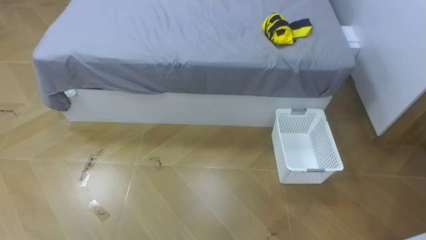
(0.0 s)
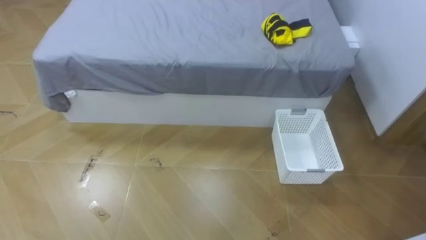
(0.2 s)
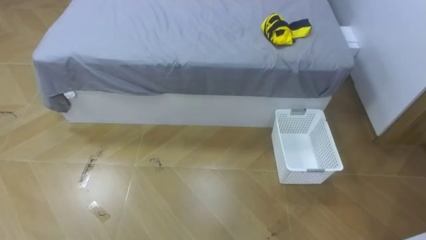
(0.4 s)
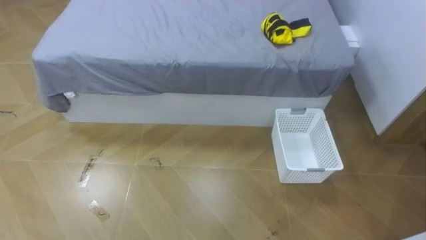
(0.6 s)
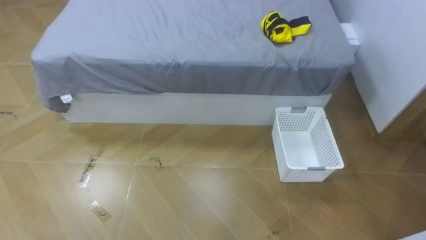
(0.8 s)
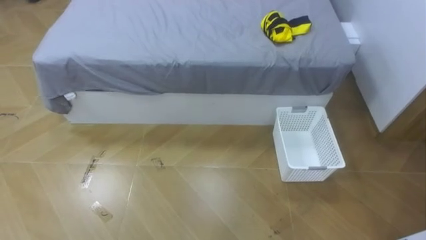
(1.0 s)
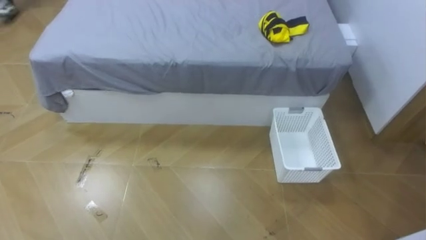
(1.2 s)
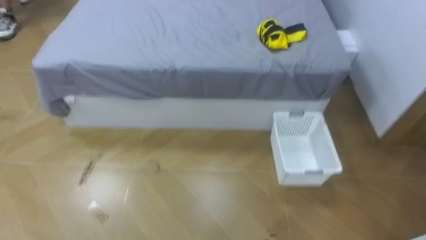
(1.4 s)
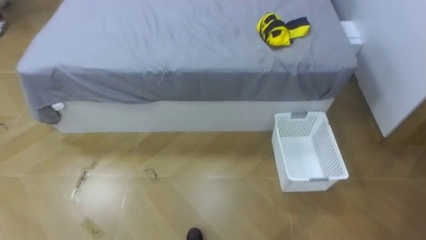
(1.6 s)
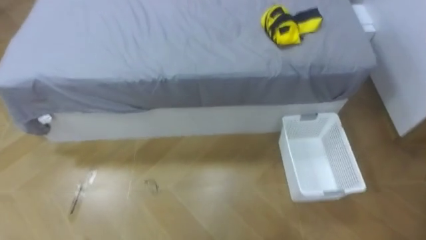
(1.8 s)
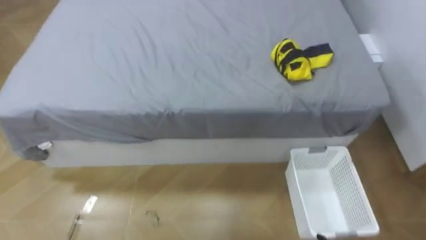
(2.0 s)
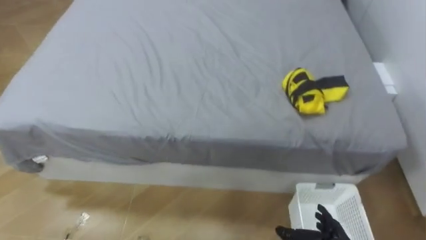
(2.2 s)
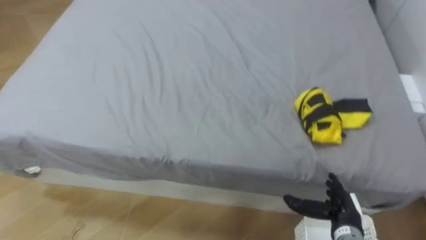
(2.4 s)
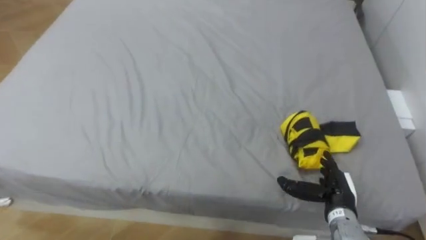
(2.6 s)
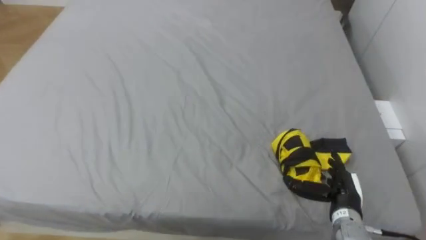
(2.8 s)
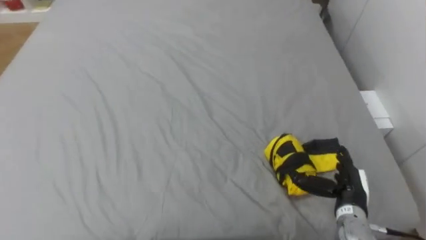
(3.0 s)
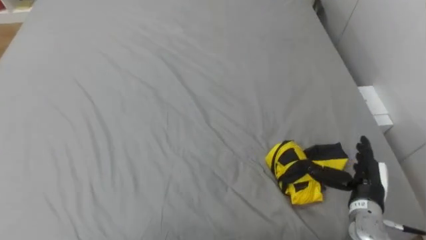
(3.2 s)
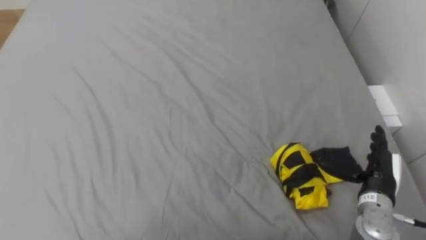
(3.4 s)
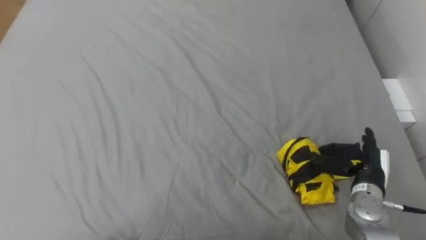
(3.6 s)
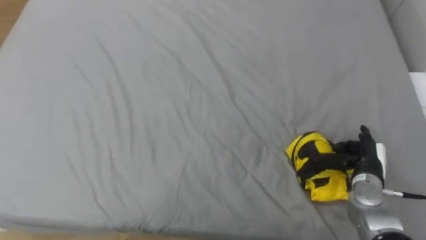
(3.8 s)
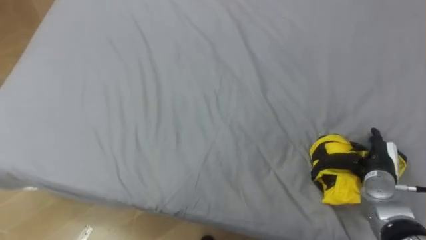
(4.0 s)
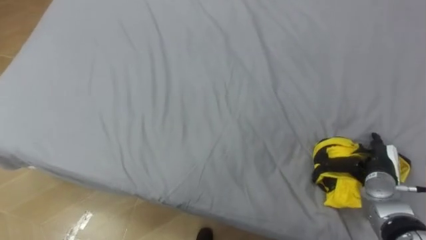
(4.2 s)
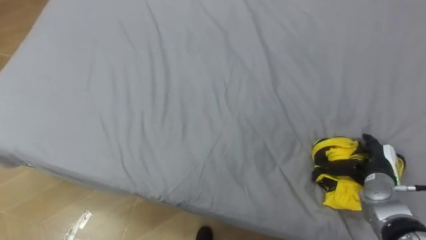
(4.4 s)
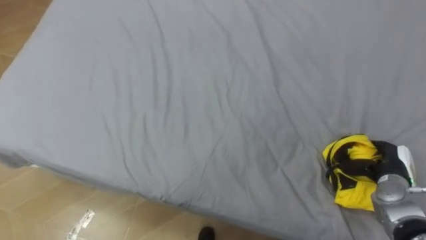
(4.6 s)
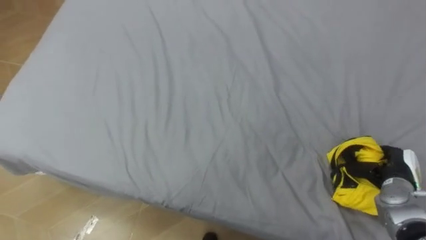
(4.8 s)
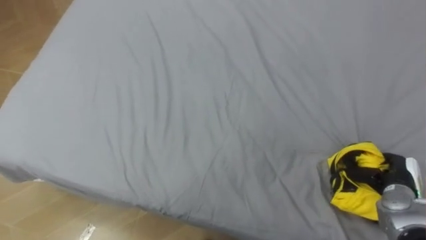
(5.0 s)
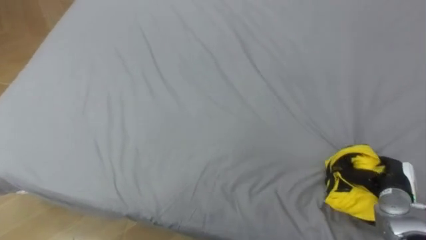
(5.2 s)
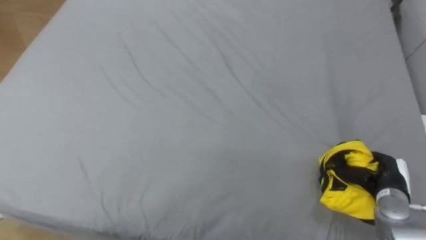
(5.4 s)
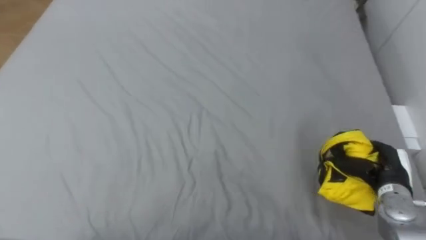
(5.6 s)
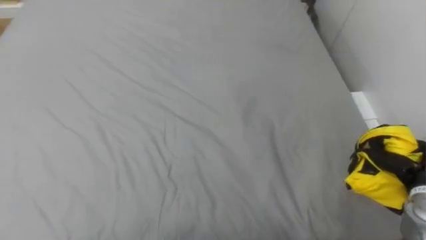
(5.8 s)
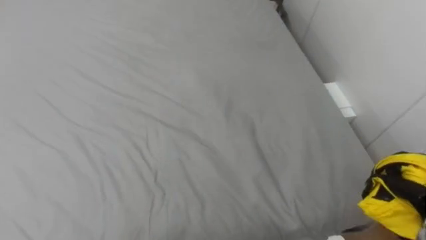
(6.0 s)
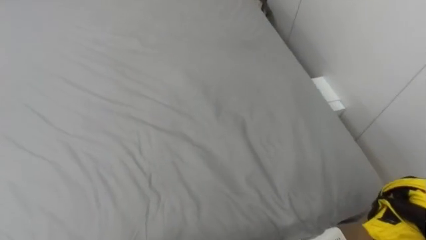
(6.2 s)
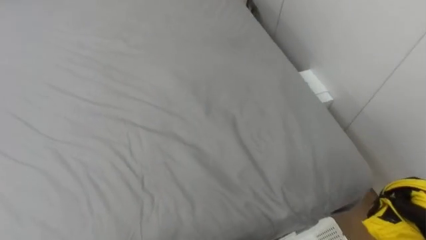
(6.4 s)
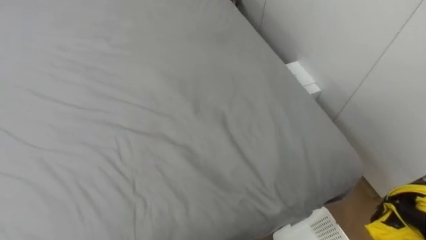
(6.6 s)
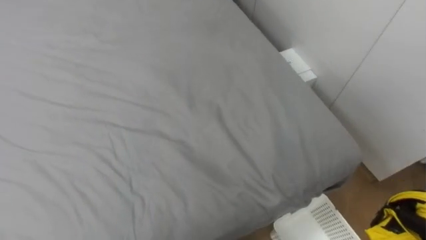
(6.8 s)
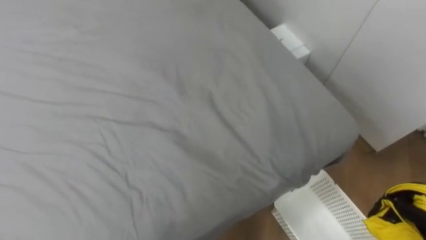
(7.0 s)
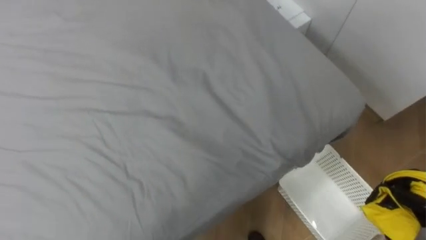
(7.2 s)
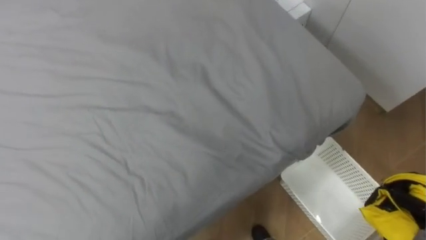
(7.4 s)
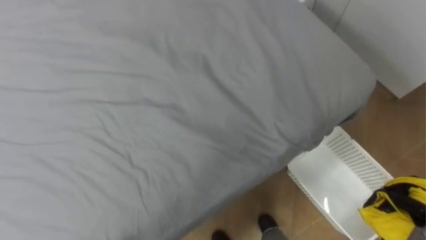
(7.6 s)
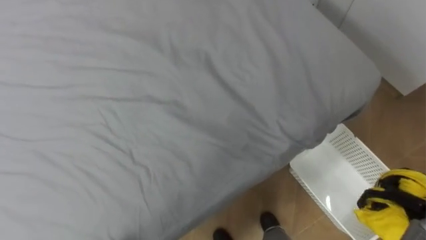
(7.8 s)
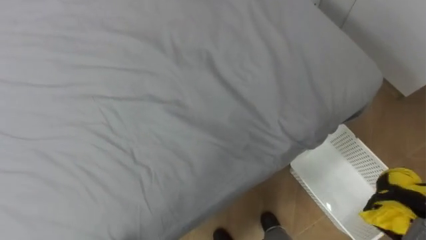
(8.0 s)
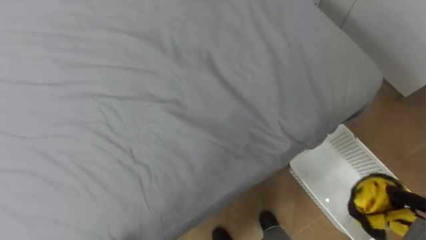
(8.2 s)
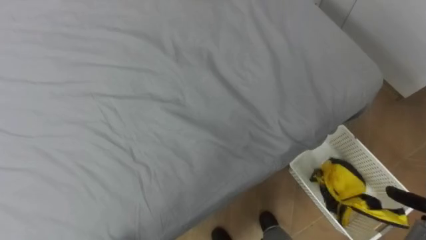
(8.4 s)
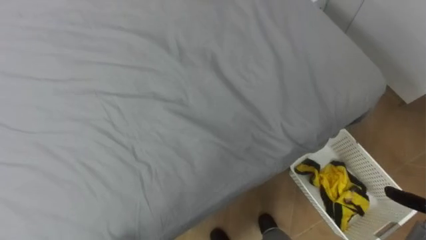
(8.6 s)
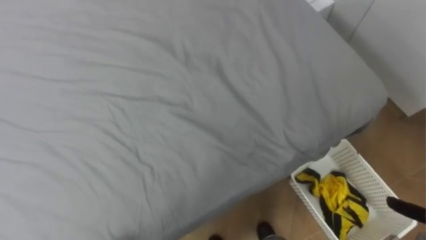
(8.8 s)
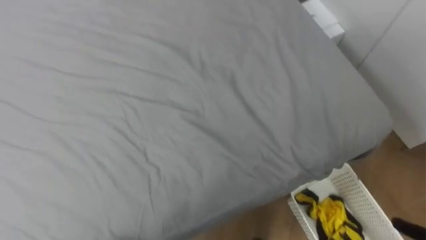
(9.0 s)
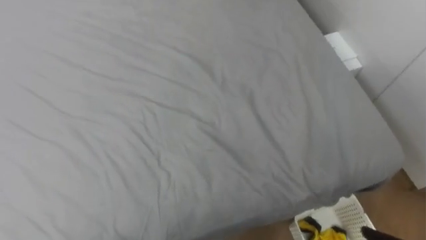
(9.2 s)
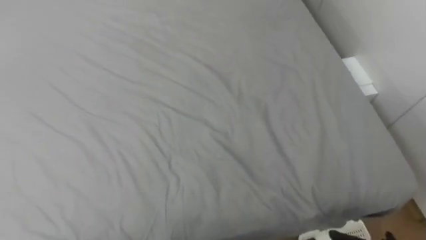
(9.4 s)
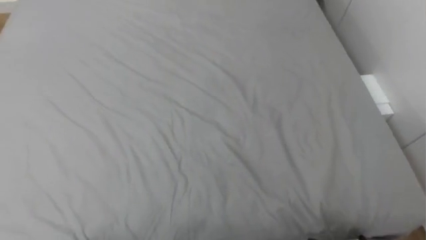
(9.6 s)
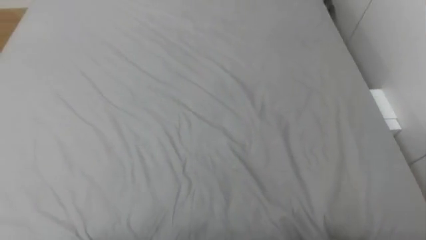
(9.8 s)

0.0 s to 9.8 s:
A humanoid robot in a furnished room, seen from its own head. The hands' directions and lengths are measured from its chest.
Task of the whole recording: Pick up the yellow clothes on the bed and place them into the white basket on the right.
2.8 to 4.2 s: The right hand goes roughly 10 cm to the right and forward.
4.2 to 5.6 s: The right hand closes up.
8.4 to 9.8 s: The robot's body swings about 20 degrees to its left.

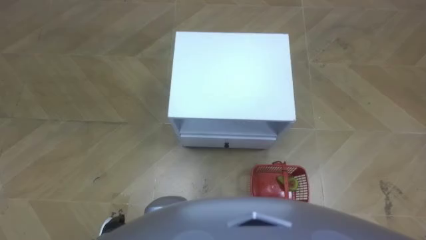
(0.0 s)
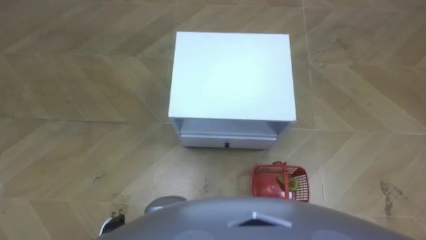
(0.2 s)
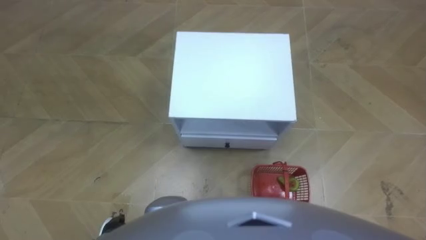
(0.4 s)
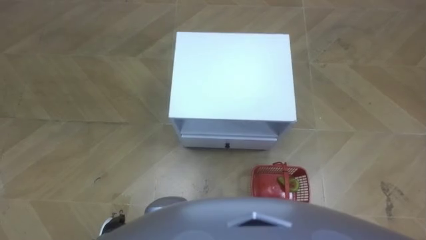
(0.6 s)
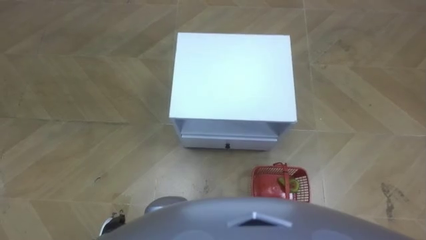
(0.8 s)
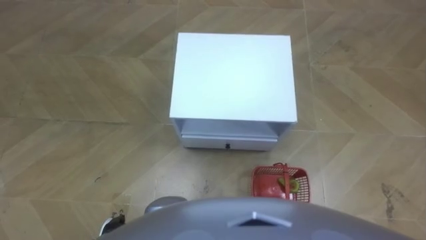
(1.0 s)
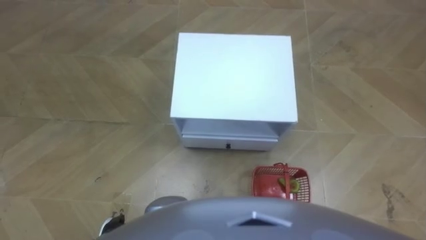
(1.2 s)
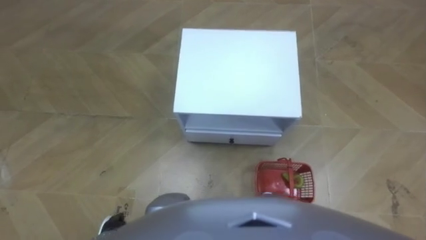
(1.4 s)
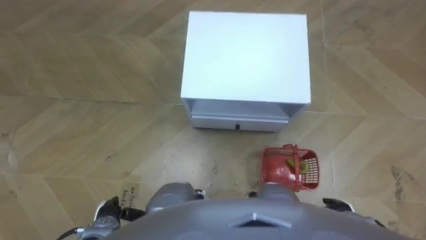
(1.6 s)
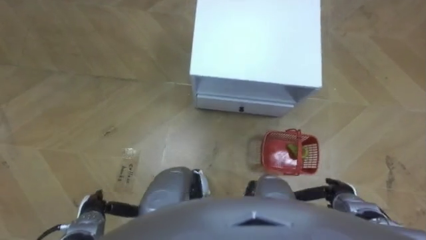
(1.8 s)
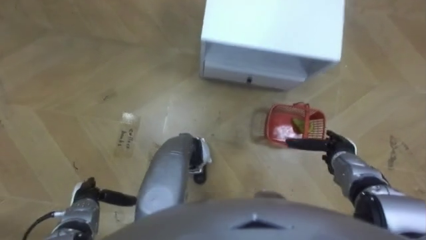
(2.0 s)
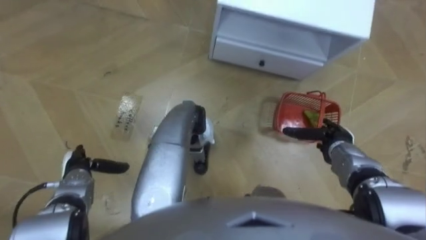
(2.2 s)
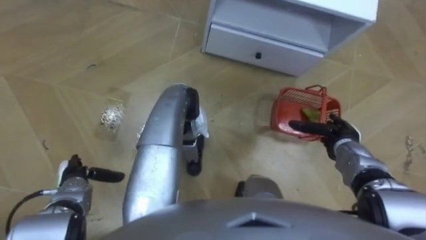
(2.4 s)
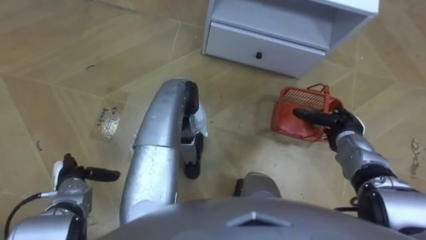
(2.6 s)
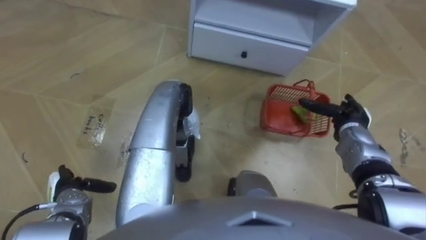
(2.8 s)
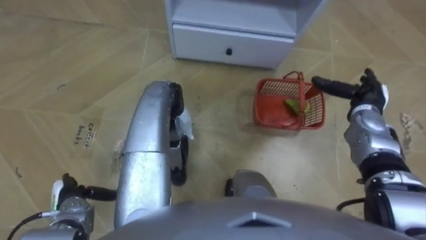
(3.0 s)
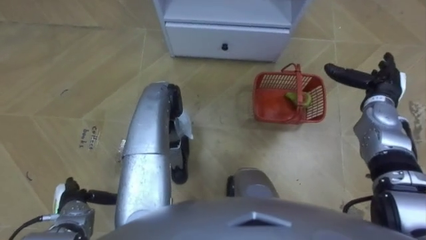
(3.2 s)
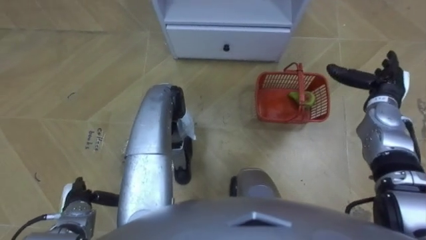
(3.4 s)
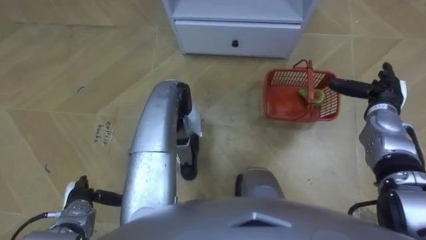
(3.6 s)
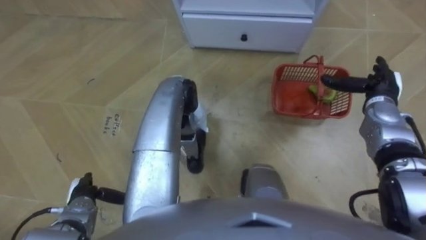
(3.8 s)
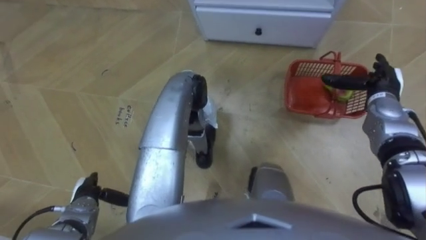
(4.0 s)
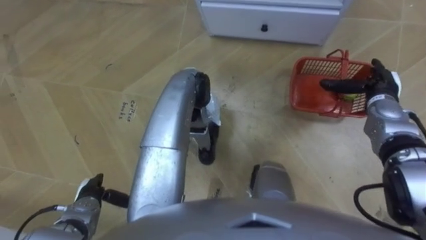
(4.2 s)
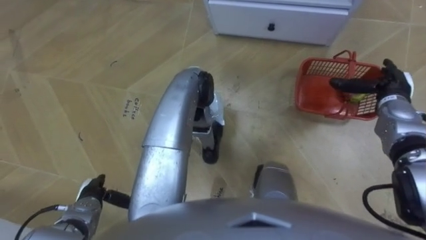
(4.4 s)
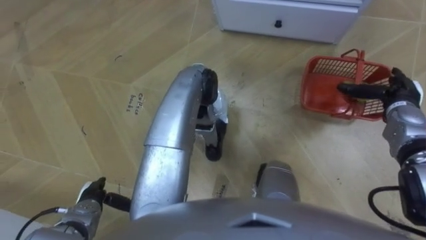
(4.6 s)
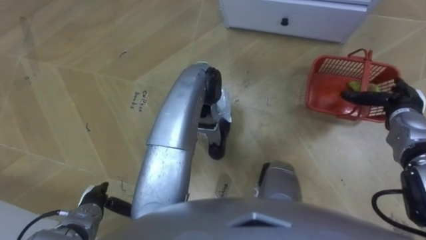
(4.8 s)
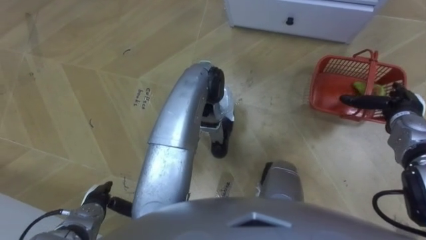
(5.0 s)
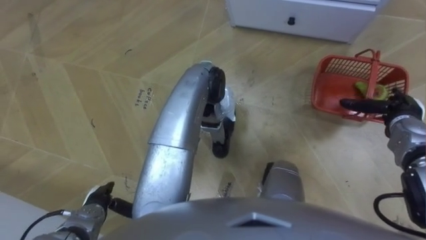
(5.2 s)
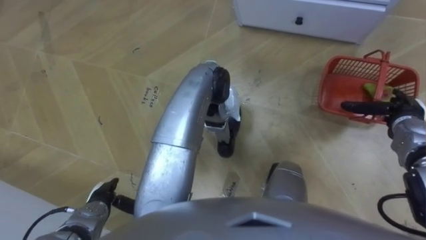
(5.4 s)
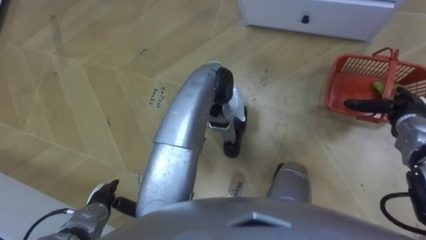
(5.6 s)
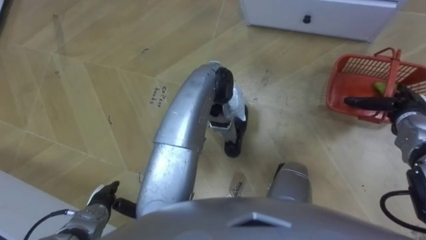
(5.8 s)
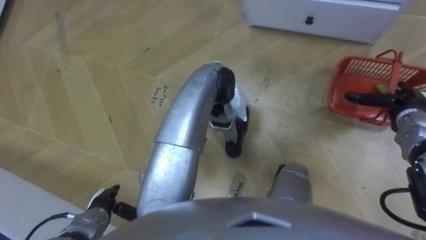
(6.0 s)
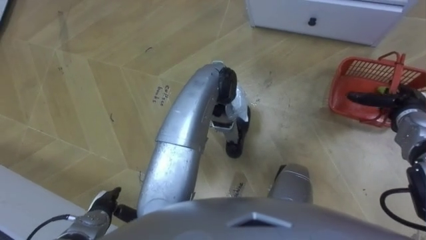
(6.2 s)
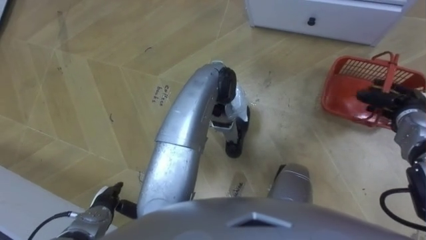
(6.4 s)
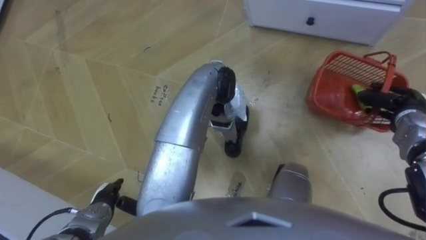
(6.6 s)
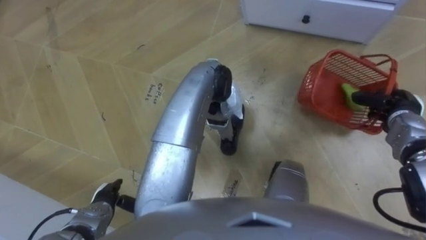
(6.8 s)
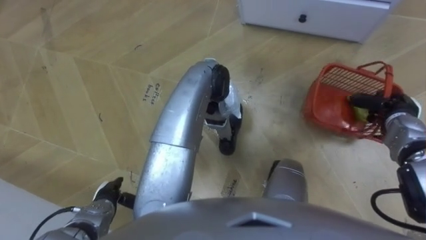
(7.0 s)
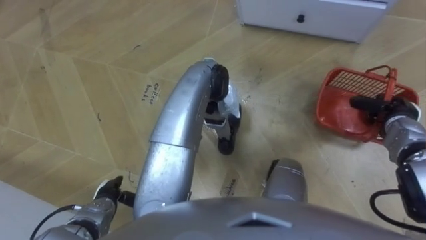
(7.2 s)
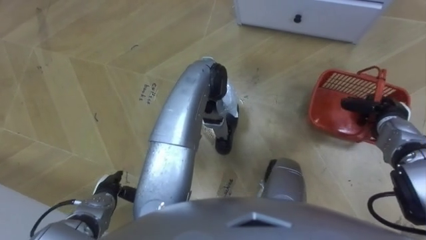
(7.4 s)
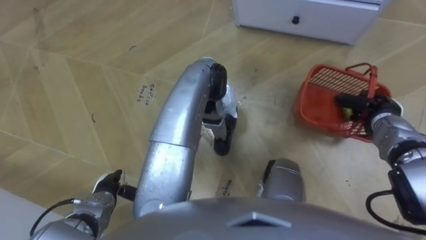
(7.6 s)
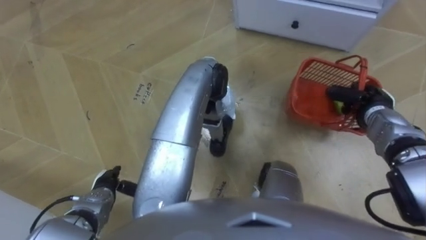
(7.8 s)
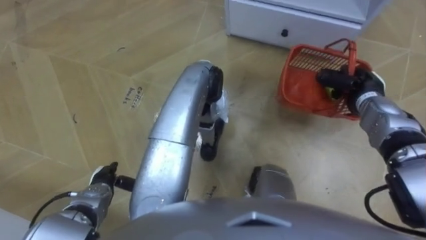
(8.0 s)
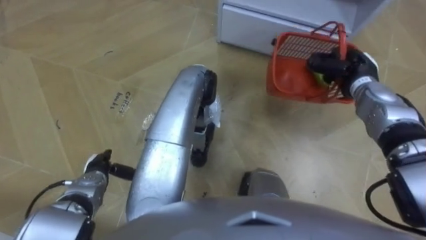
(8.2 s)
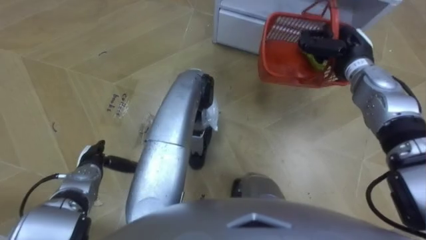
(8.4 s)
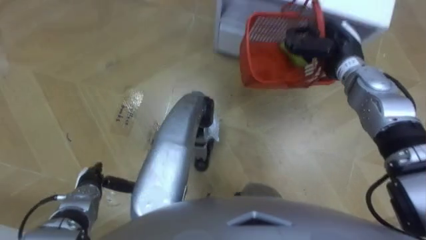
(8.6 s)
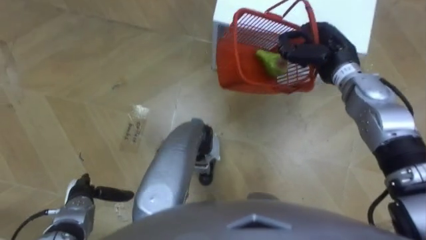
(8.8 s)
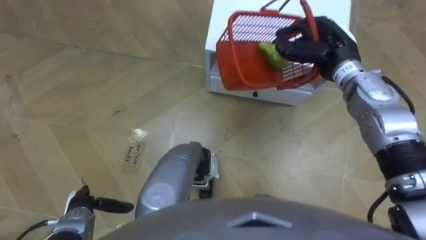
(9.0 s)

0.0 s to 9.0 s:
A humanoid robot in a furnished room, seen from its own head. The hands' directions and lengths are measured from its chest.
Task of the whole recording: Pick up the fruit basket from the floor and place it on the cabinet.
1.6 to 3.0 s: The left hand goes about 10 cm to the left; the right hand shifts some 25 cm forward and upward.
6.0 to 7.6 s: The right hand closes.
7.6 to 9.0 s: The left hand shifts about 5 cm to the left, and goes forward and returns, about 5 cm each way. The right hand travels to the left, upward and forward by approximately 20 cm.
